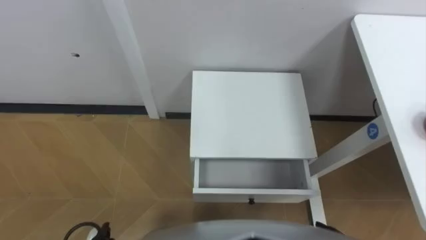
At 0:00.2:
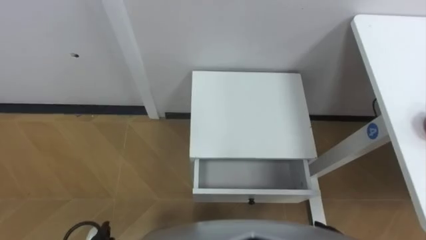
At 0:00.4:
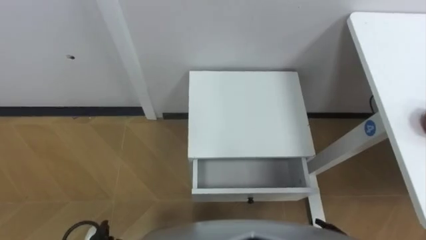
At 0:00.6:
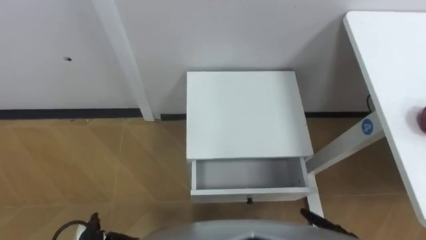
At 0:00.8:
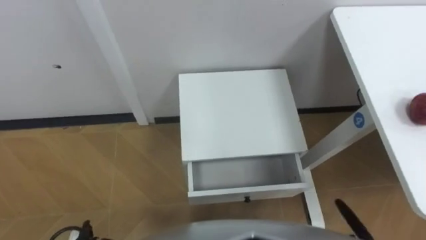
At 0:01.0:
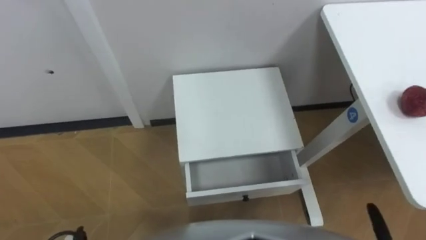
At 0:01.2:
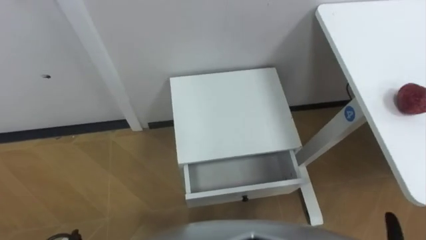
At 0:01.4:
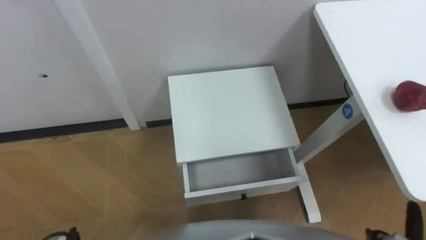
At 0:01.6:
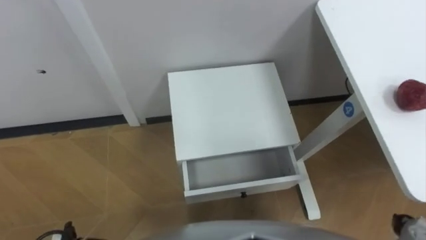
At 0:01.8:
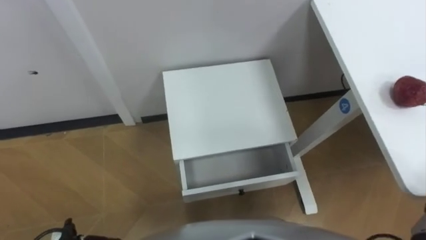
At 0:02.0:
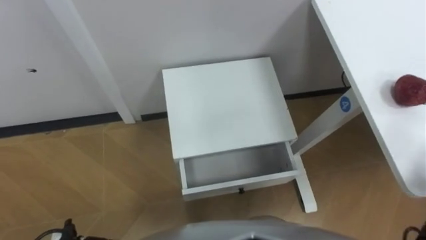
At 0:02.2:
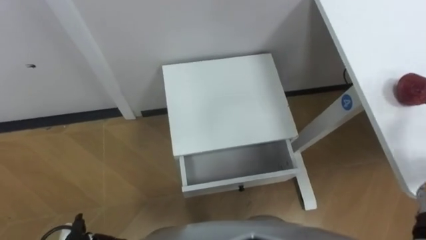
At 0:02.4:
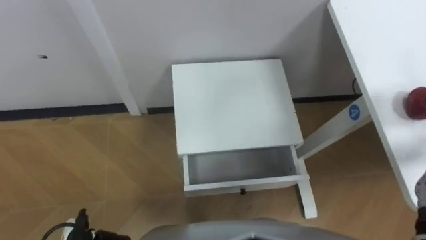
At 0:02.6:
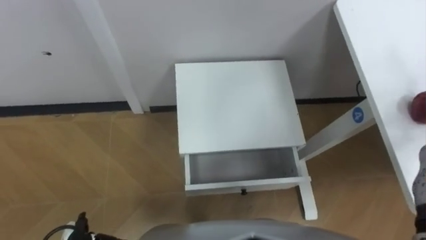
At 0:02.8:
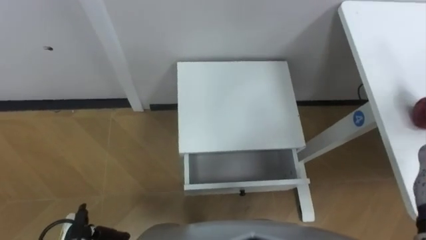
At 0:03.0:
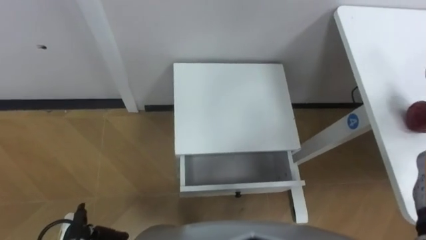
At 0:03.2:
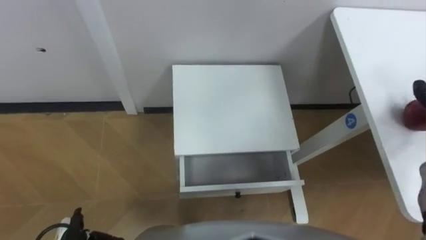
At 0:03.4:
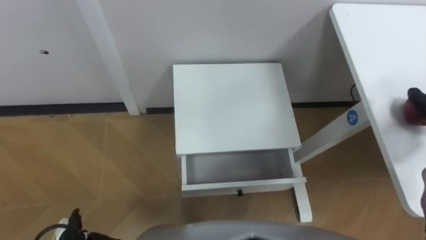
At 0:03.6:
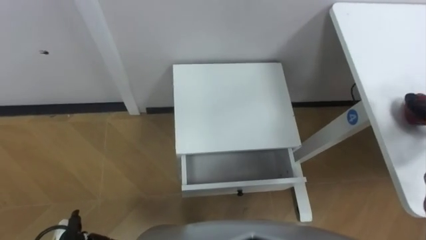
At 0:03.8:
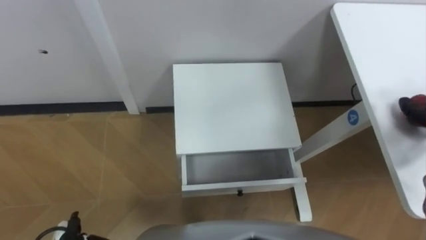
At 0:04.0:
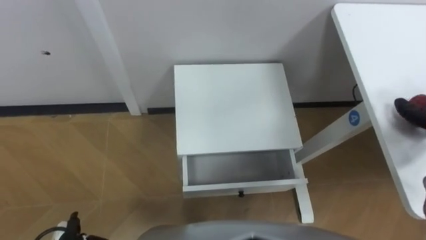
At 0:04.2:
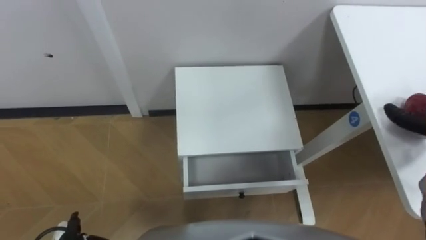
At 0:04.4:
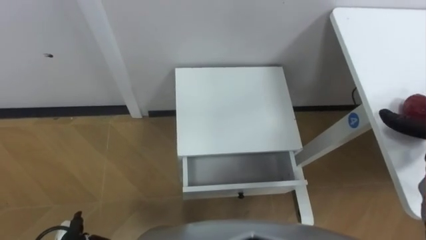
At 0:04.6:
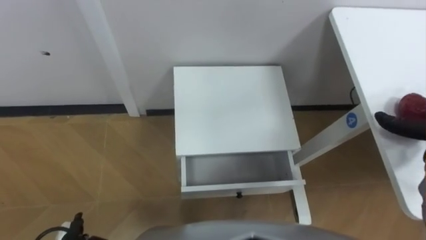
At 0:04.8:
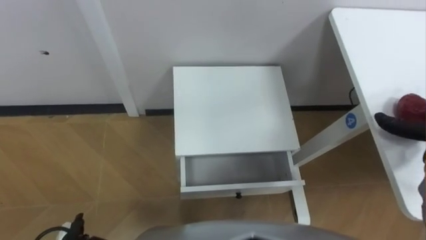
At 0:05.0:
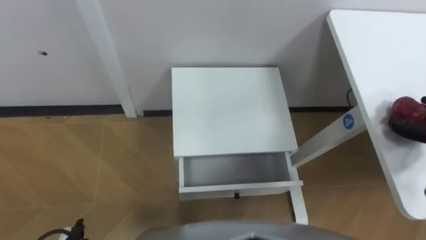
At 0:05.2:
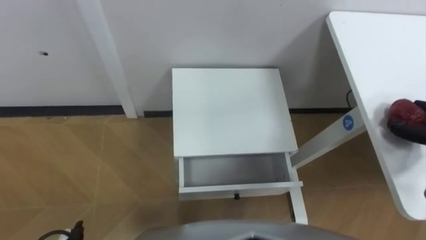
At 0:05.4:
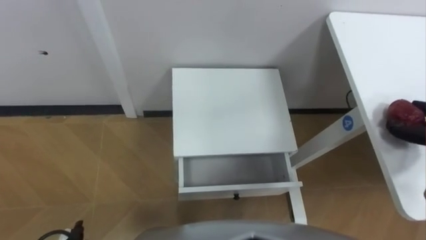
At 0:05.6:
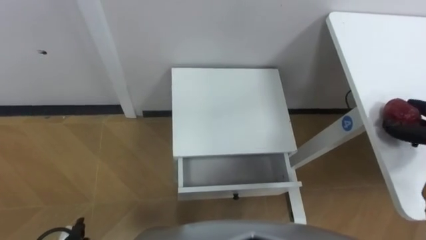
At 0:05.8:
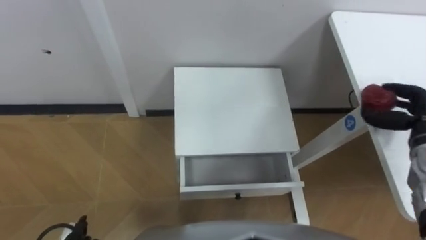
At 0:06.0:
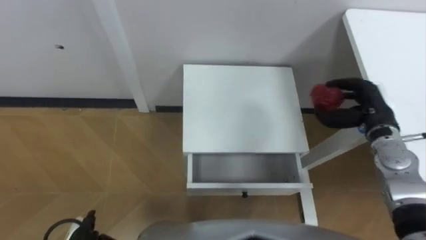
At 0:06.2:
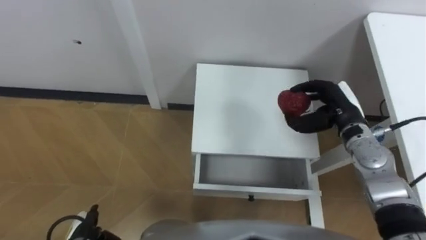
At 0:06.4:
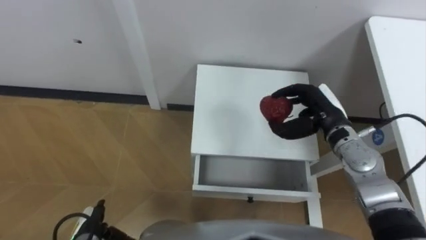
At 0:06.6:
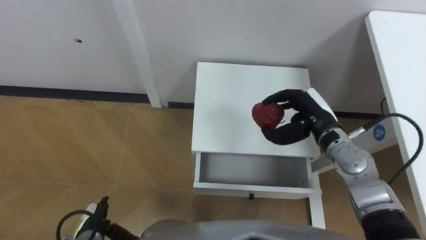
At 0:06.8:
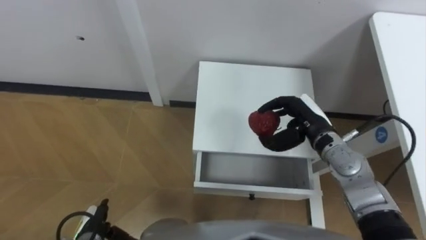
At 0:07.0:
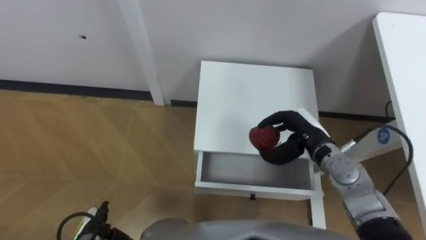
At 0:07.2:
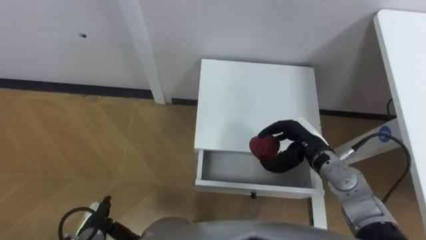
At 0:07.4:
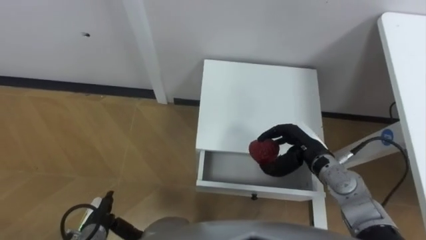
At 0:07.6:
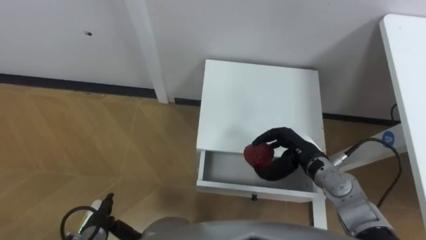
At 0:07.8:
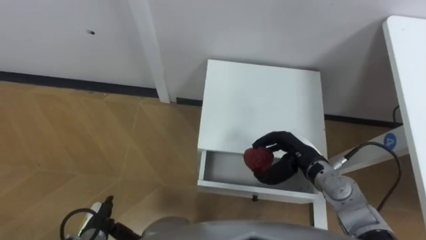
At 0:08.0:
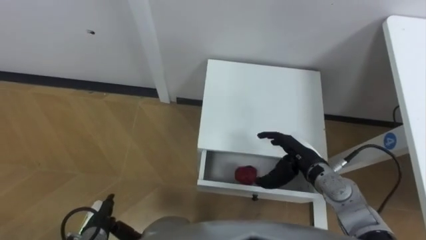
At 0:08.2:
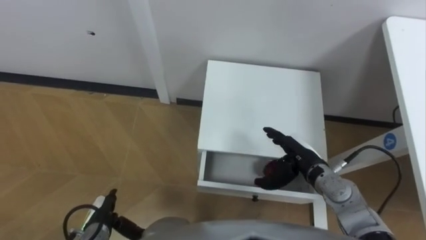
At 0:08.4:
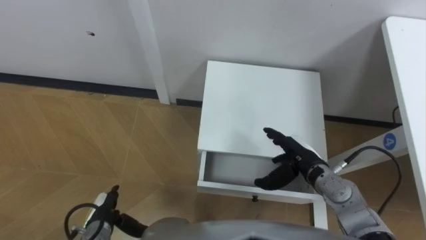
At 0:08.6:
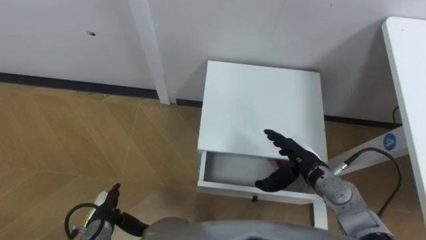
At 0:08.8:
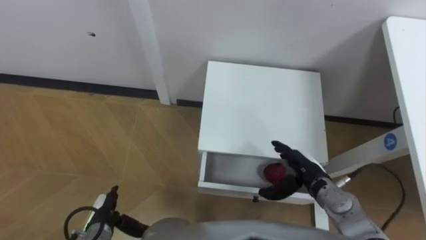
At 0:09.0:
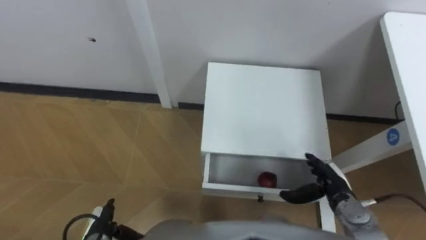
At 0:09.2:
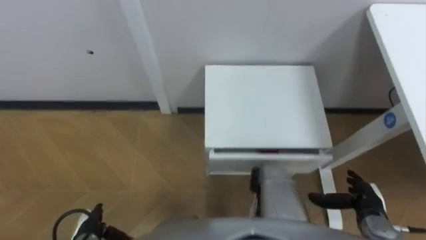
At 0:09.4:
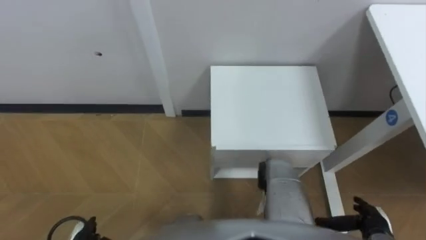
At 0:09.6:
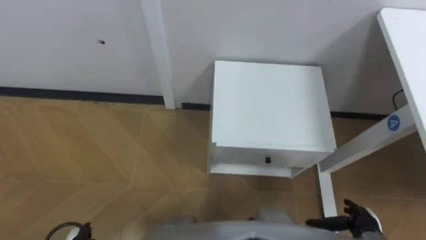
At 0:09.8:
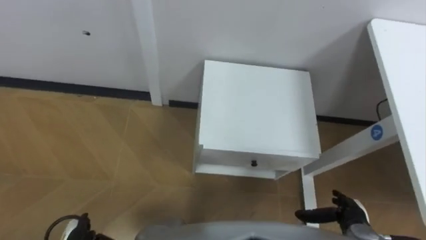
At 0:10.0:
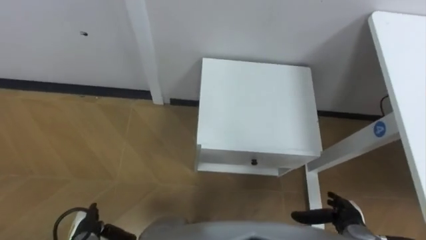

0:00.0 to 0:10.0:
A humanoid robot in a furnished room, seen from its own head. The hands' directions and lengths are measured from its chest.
Task of the whole recording: Pick up the apple from the table, put it in the drawer, and close the drawer with leg.
0:05.8 to 0:07.2: The right hand heads to the left, covering approximately 20 cm. Meanwhile the left hand moves some 5 cm.
0:07.2 to 0:08.6: The right hand opens up.
0:08.6 to 0:10.0: The right hand shifts roughly 20 cm backward, to the right and downward.

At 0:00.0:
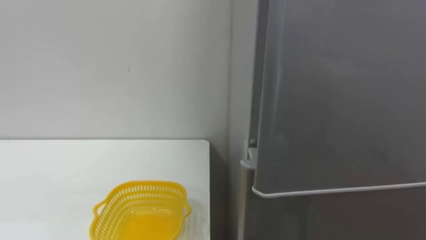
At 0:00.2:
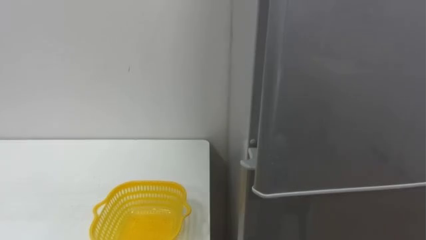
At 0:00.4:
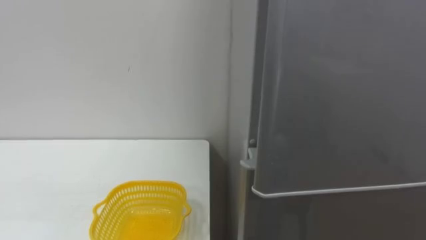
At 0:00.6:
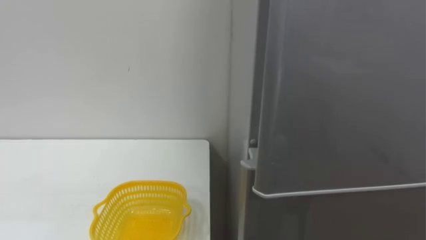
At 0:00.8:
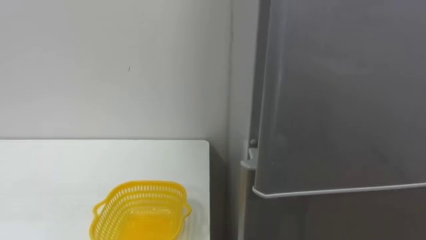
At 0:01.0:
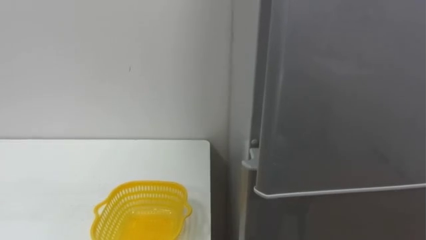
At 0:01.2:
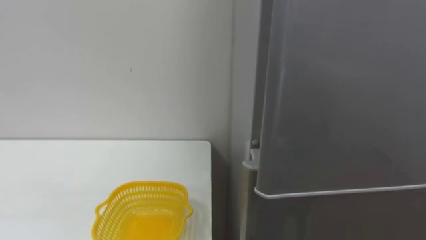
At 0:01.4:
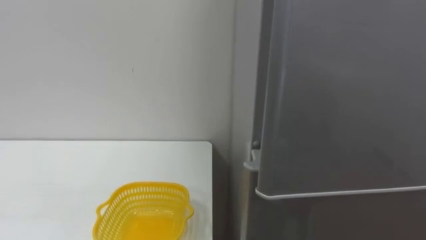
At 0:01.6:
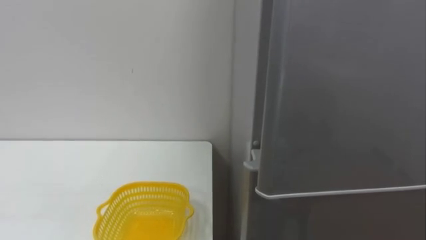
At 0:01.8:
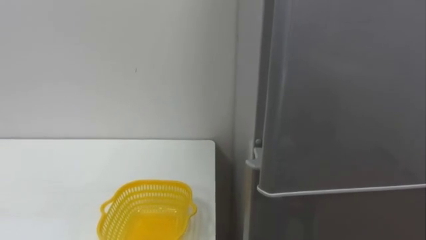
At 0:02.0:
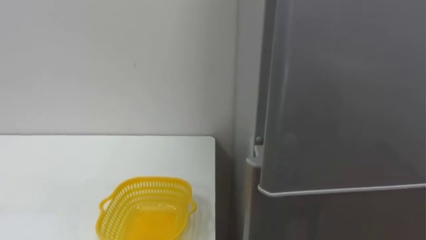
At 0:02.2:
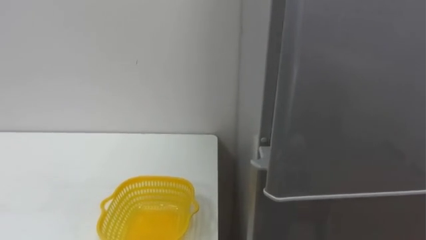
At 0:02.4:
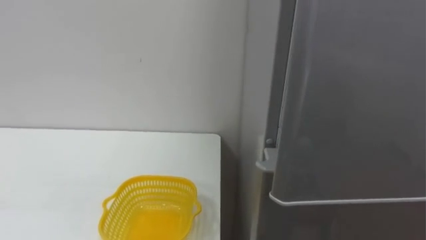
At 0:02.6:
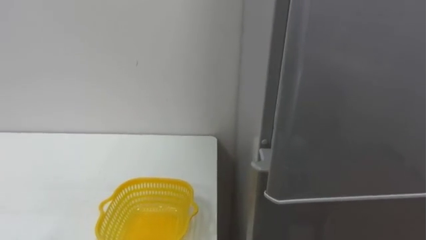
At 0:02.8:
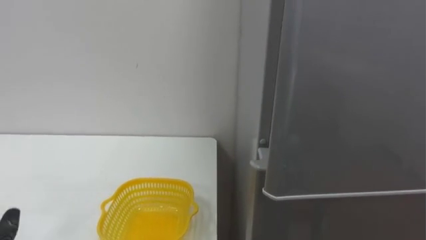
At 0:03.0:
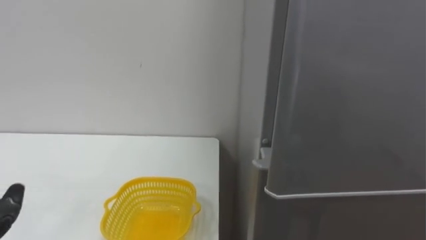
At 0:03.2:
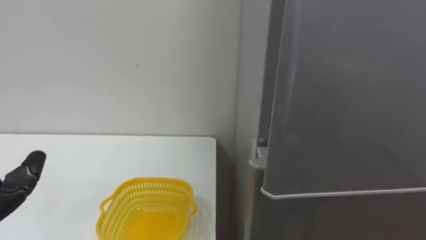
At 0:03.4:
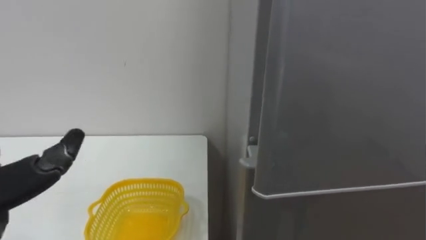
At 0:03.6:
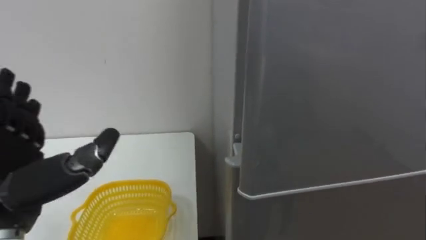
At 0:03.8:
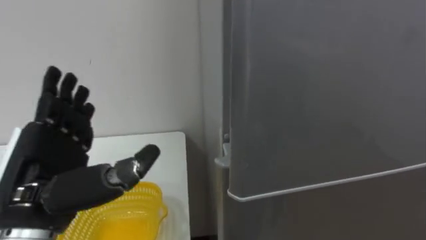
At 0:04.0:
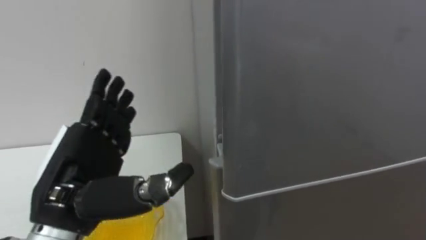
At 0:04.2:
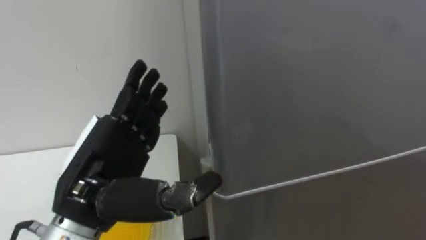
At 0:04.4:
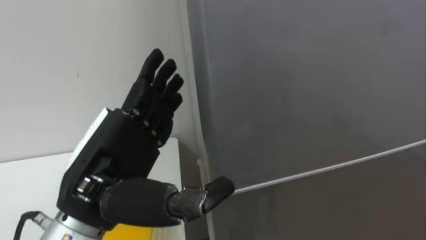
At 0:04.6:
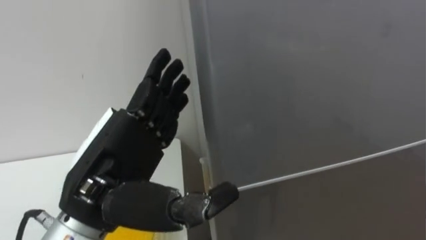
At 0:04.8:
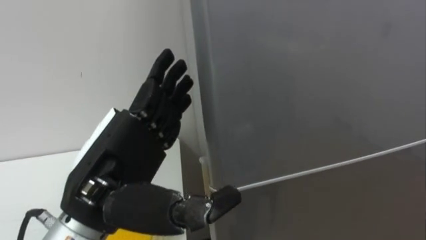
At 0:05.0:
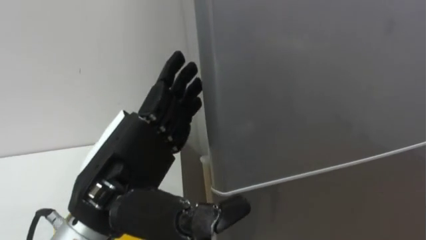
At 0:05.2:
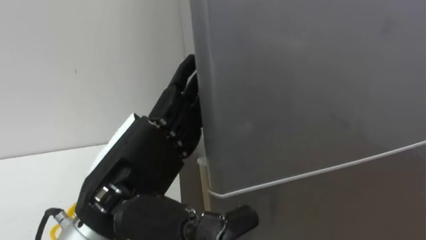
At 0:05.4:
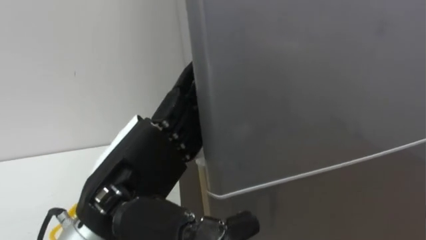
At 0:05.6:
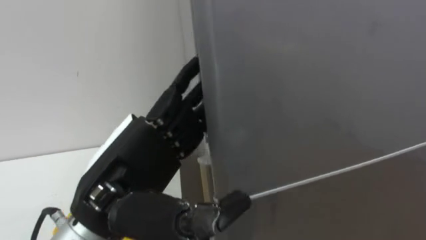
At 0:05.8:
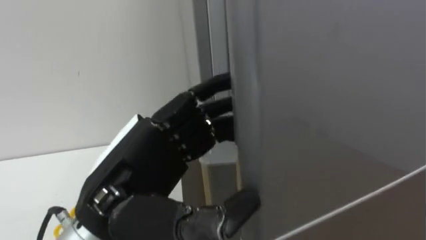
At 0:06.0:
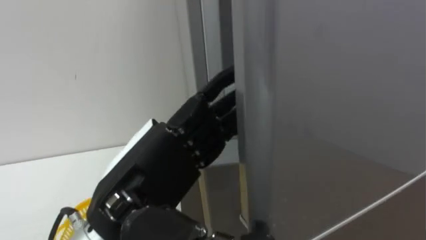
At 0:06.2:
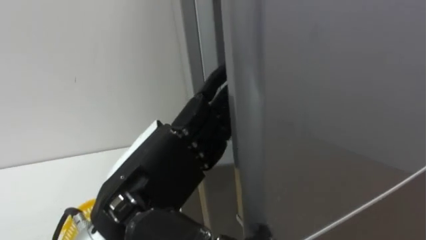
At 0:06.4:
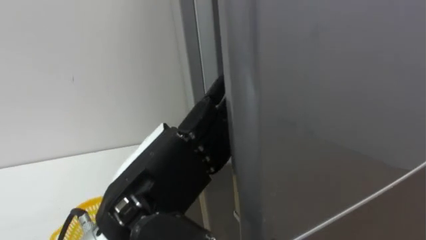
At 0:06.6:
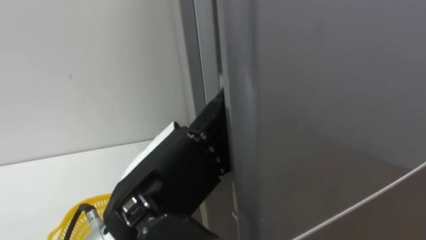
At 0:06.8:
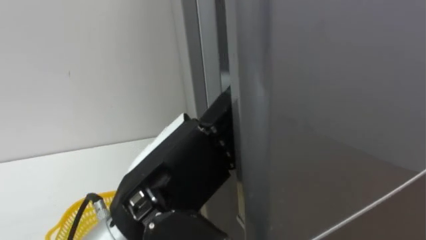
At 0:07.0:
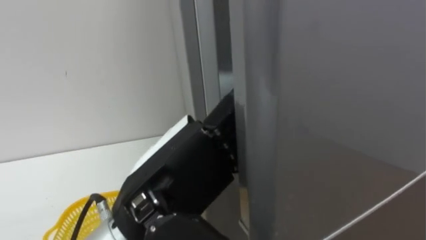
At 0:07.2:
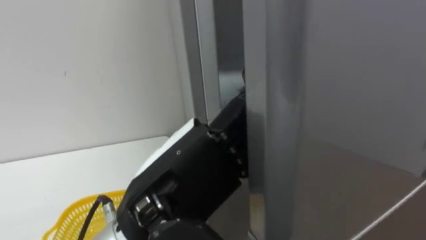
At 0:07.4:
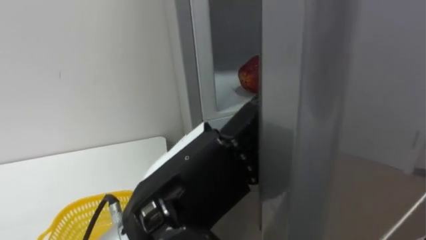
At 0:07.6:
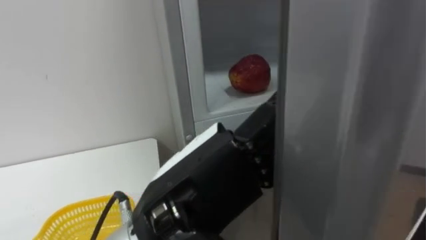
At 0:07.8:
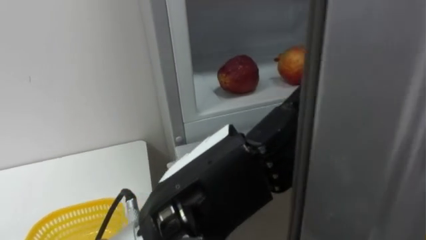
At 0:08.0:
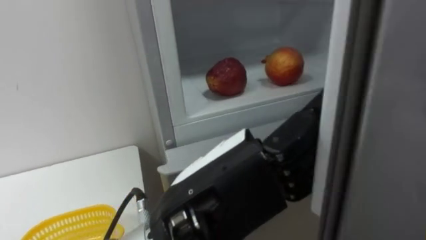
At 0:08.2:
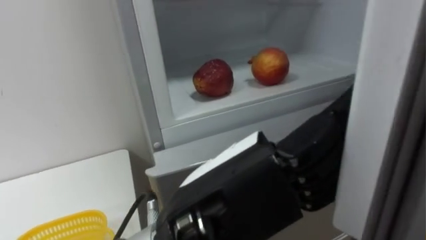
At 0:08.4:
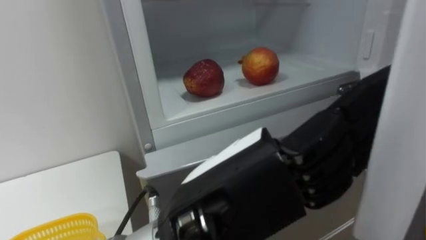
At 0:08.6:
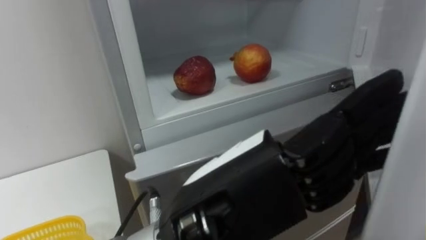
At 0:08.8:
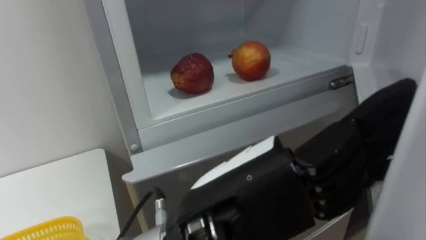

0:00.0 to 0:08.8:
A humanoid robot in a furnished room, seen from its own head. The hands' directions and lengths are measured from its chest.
Task of the whole recording: Open the refrigerator door, take out the apple and the pomegranate, place them in the fruit basket on the left, and close the refrigerator door.
0:05.8 to 0:07.4: The left hand moves to the right, approximately 5 cm.
0:07.4 to 0:08.8: The left hand ends up roughly 5 cm from where it was.